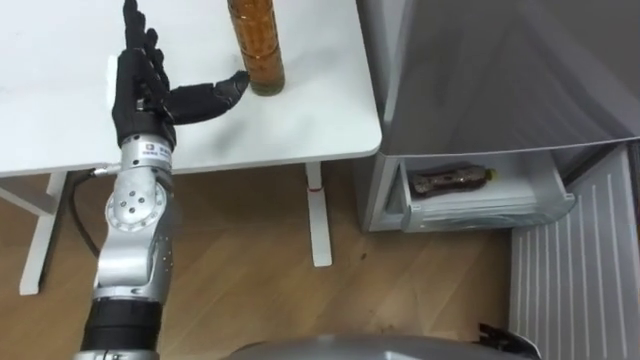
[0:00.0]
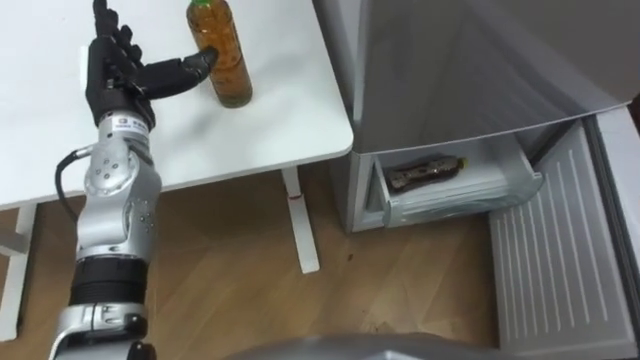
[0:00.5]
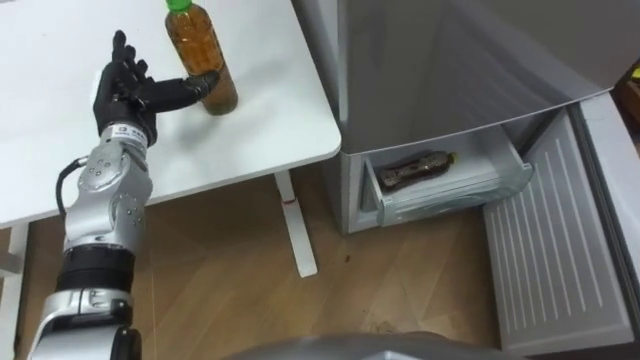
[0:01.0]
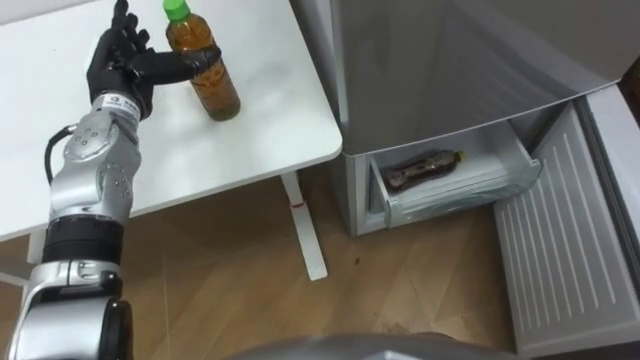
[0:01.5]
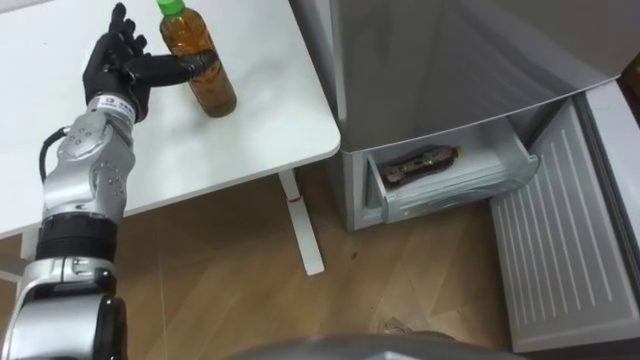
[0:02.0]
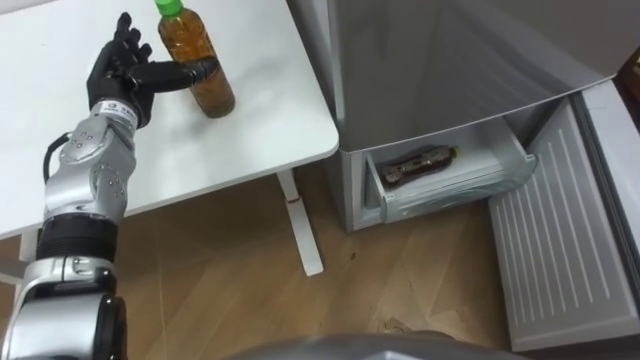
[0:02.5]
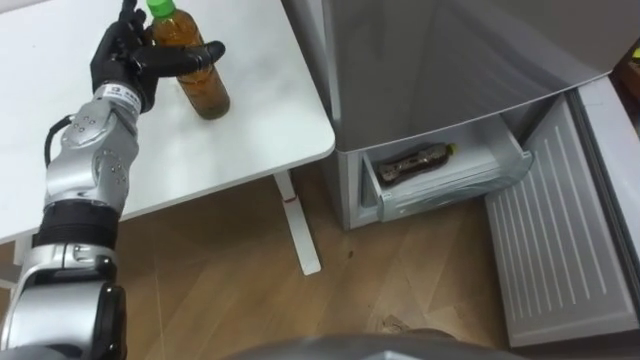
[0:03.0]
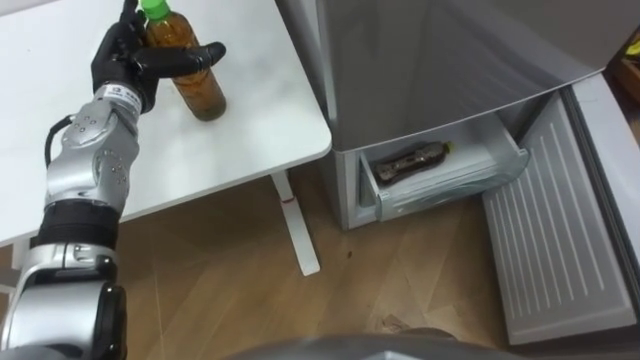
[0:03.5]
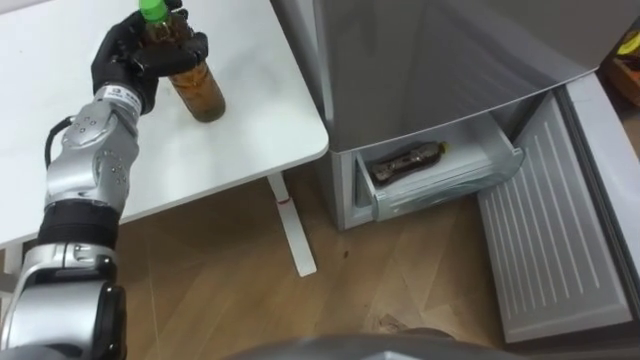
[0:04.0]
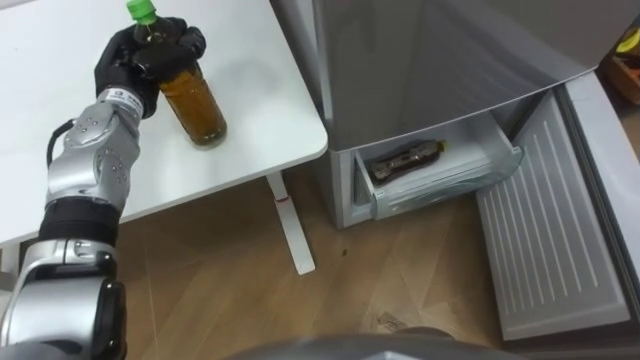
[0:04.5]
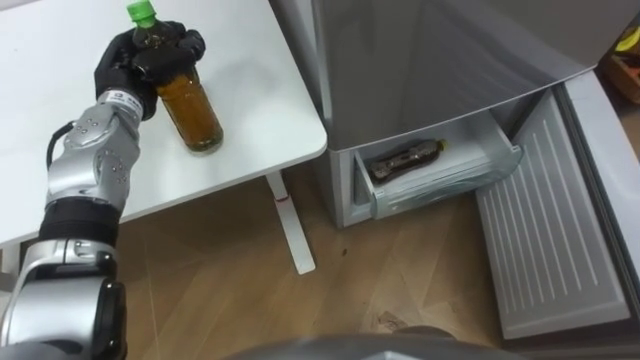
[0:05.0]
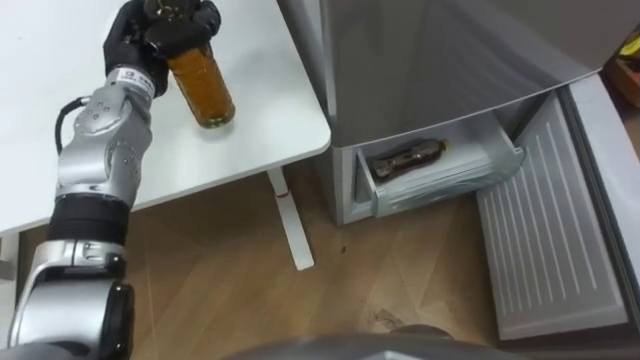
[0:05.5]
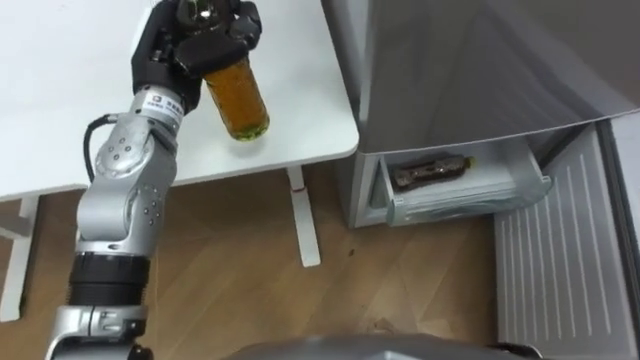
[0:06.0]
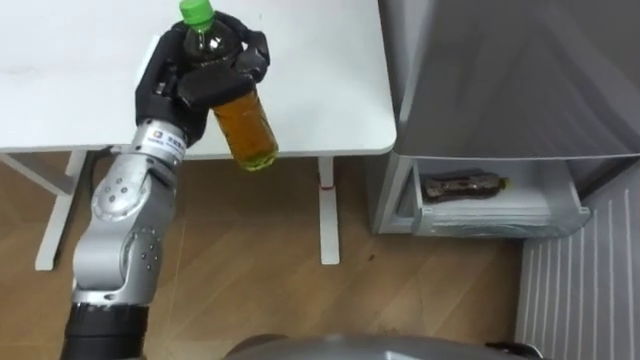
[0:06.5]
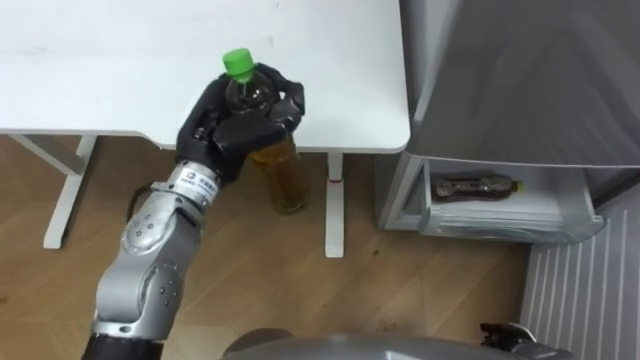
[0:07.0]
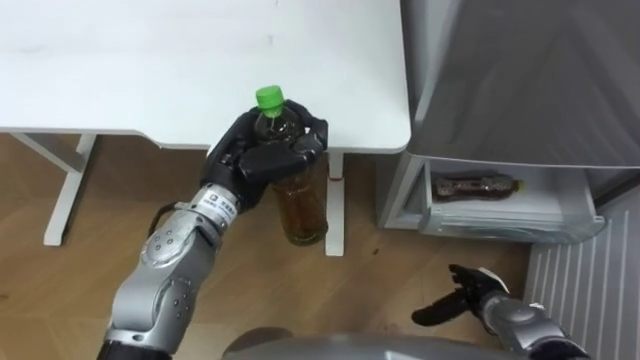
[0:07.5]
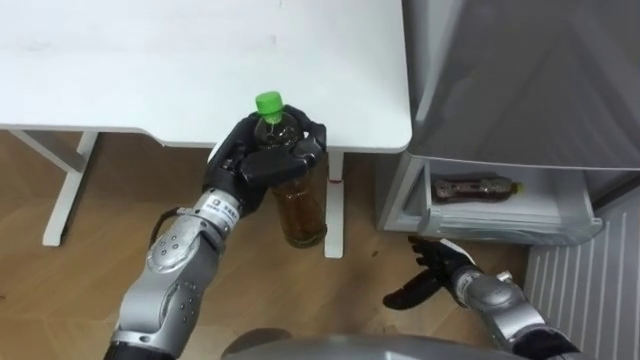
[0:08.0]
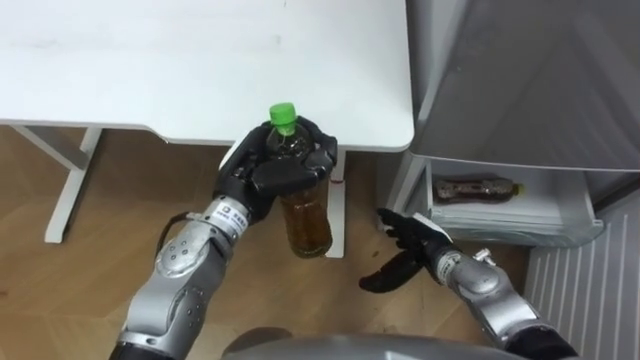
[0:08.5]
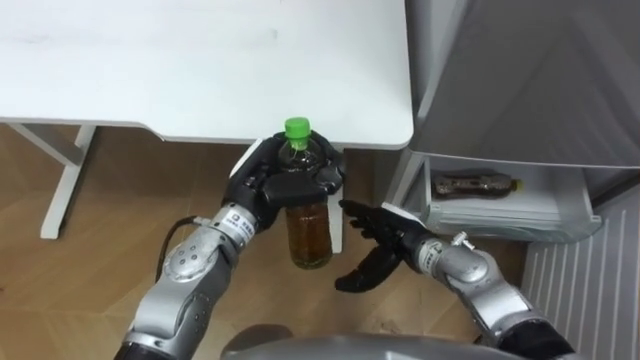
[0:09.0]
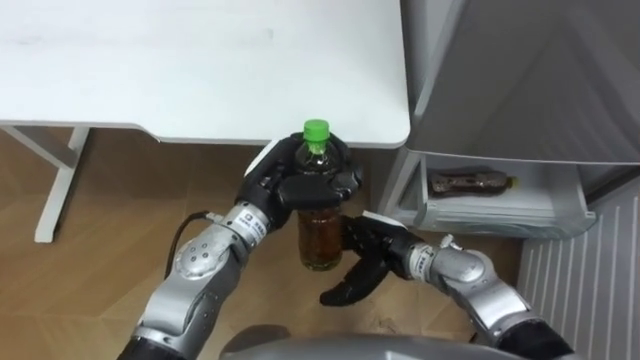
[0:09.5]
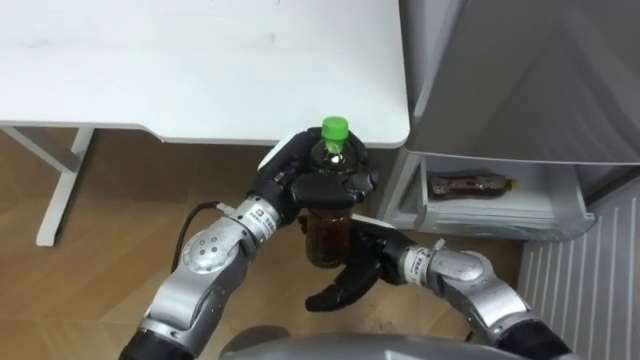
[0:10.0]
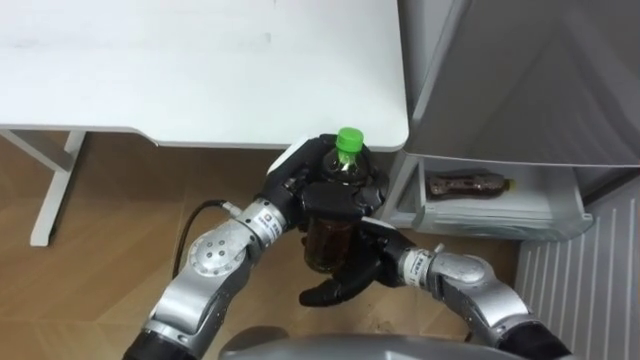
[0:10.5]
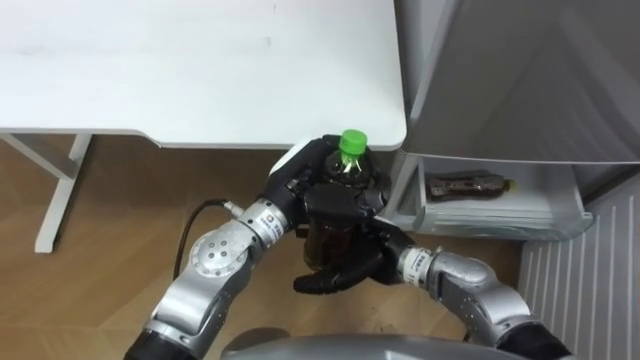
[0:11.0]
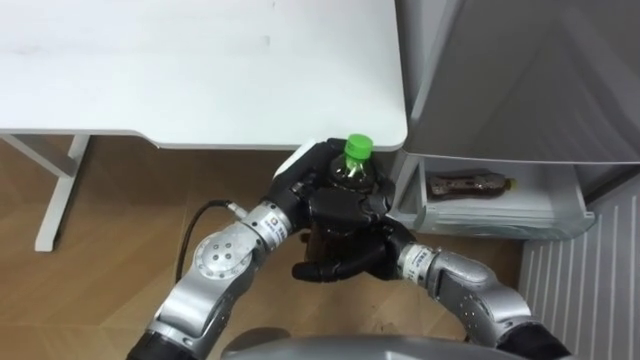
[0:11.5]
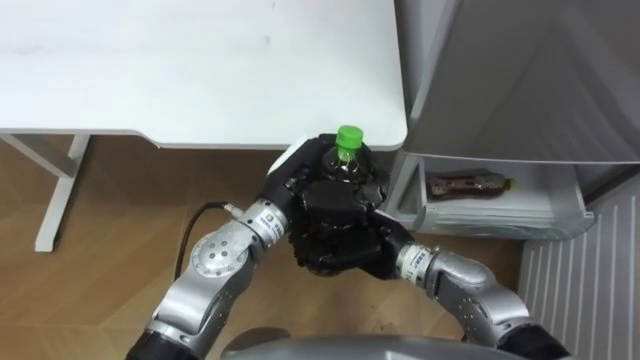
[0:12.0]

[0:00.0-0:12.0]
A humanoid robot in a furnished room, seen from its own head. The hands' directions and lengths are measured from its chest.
Task of the whole recording: Place the drink on the table on the bottom shelf of the refrigerator, then close the drawer and the refrigerator door.
0:00.0 to 0:02.0: The left hand travels forward by approximately 5 cm.
0:02.0 to 0:04.0: The left hand closes its fingers.
0:04.0 to 0:06.0: The left hand is displaced to the right and upward by approximately 10 cm, and closes its fingers.
0:06.0 to 0:08.0: The left hand heads downward, backward and to the right, covering approximately 15 cm.
0:08.0 to 0:10.0: The right hand heads to the left and upward, covering about 15 cm; the left hand is displaced to the right by approximately 5 cm.
0:10.0 to 0:12.0: The right hand closes up.

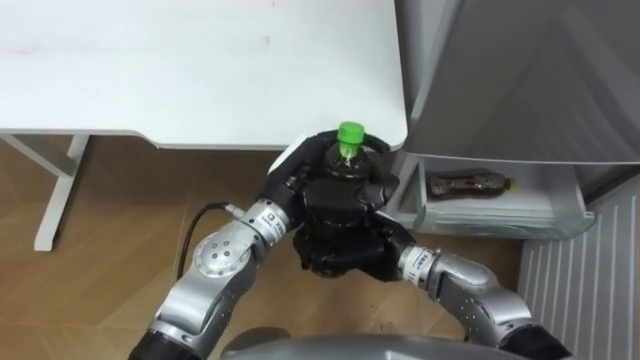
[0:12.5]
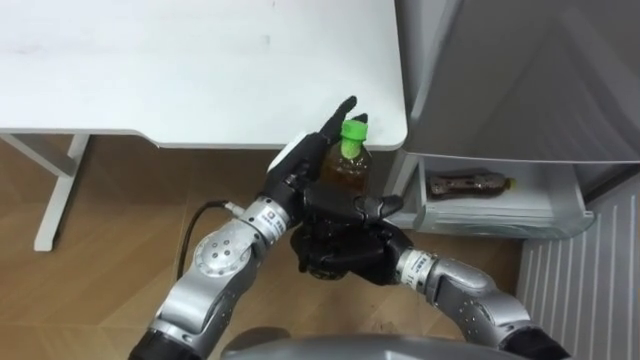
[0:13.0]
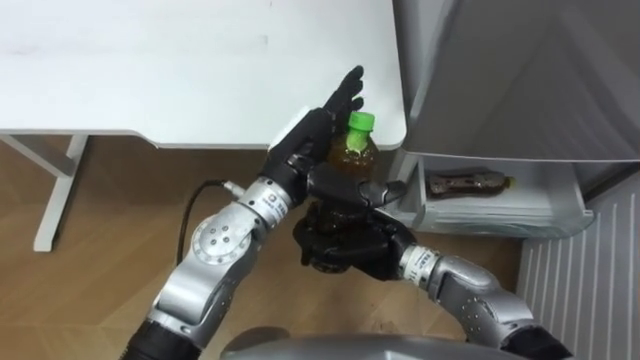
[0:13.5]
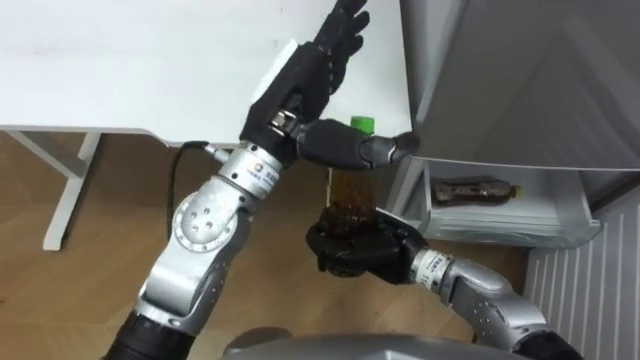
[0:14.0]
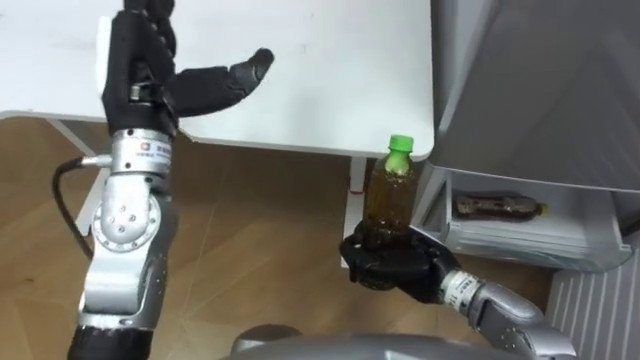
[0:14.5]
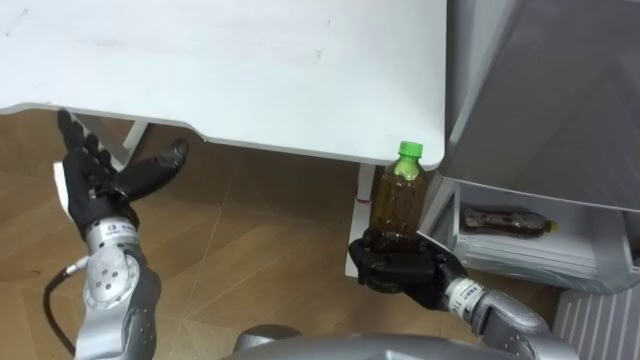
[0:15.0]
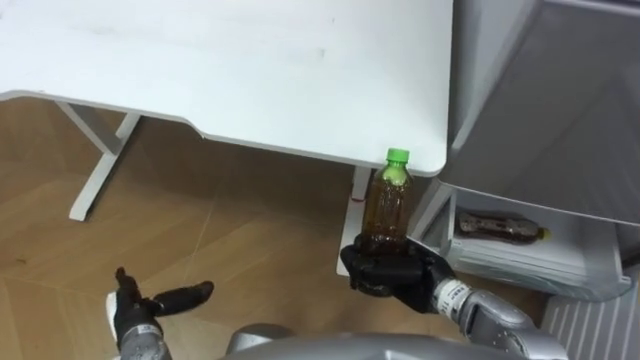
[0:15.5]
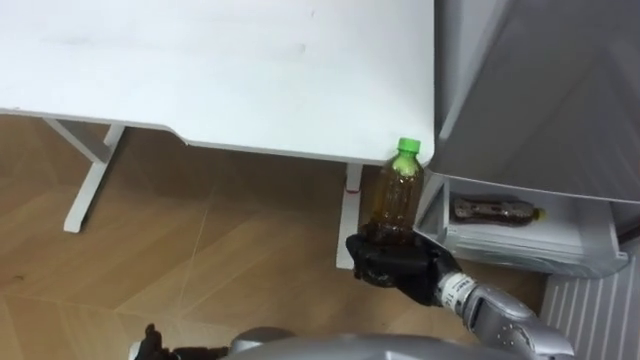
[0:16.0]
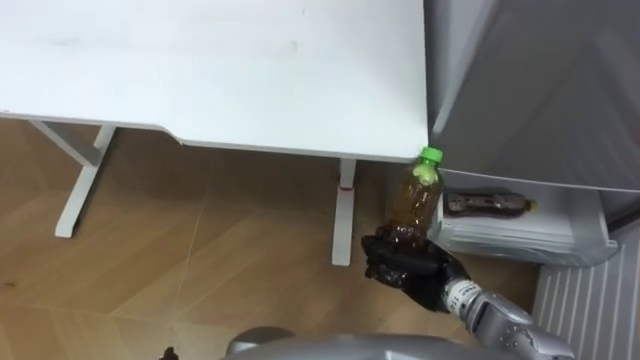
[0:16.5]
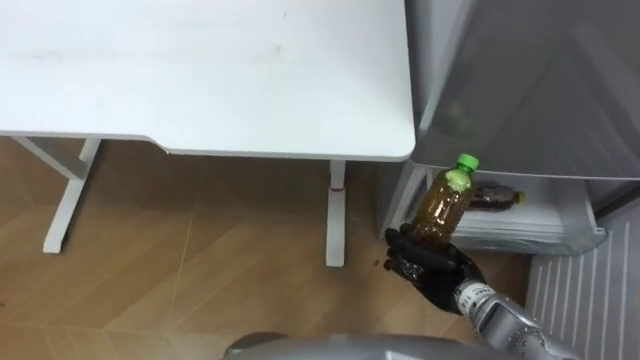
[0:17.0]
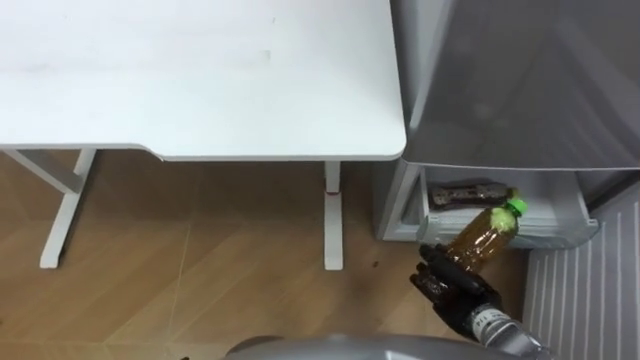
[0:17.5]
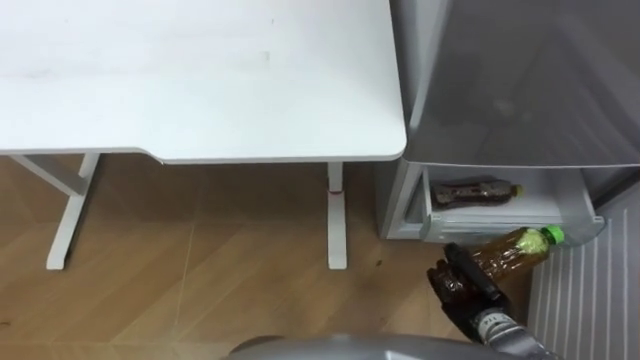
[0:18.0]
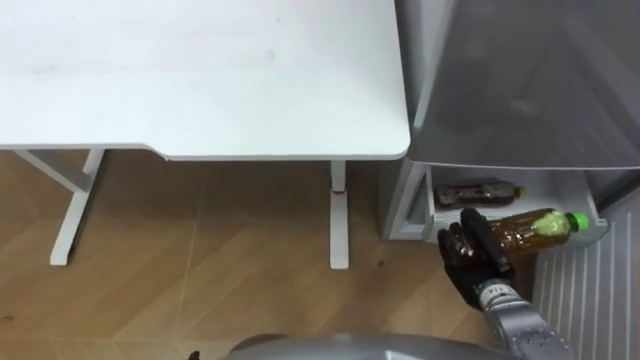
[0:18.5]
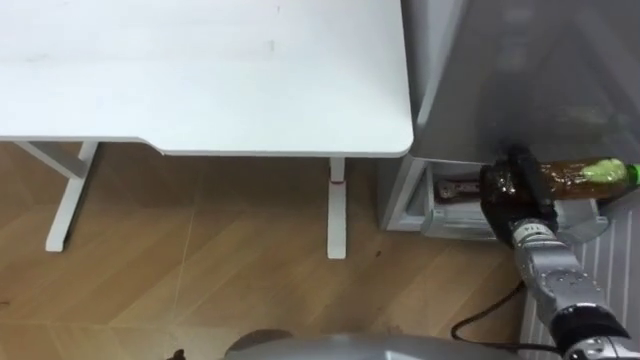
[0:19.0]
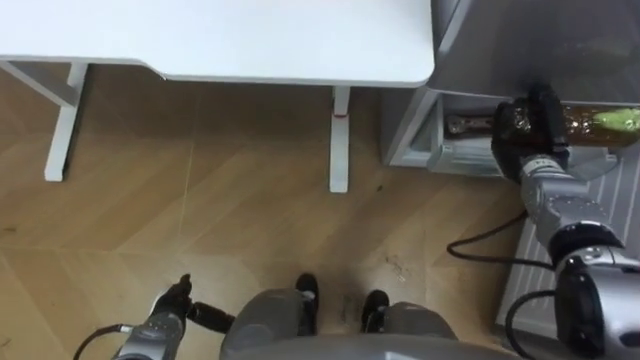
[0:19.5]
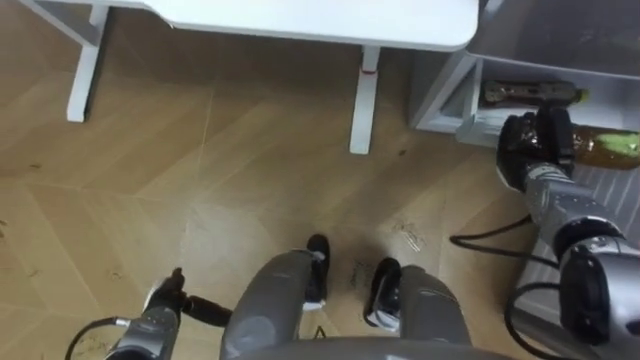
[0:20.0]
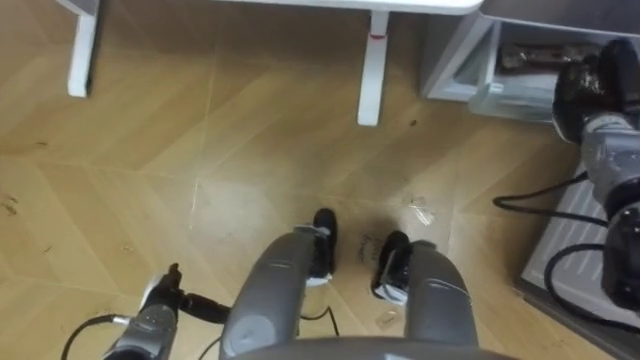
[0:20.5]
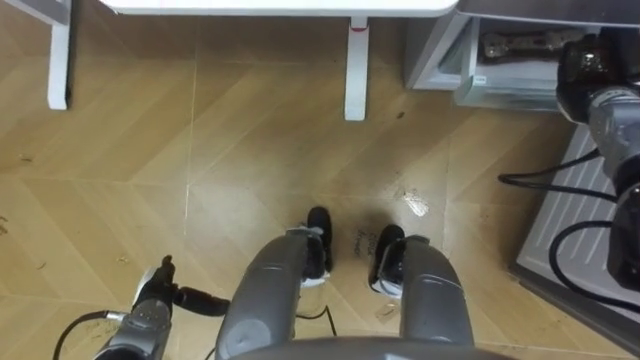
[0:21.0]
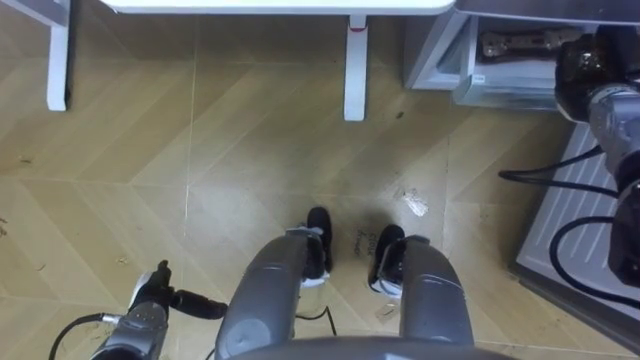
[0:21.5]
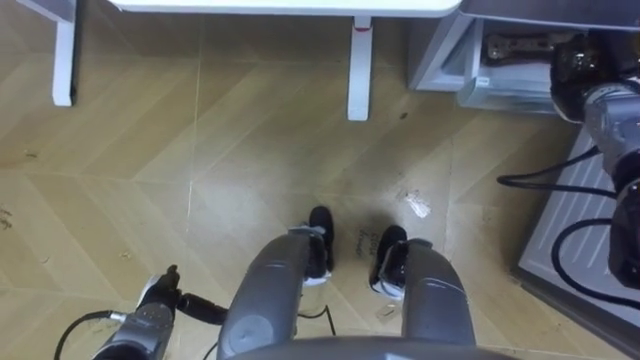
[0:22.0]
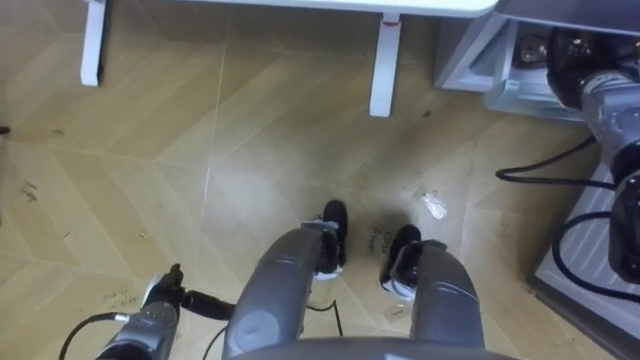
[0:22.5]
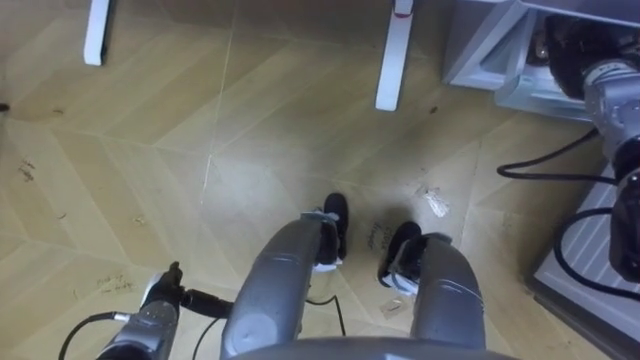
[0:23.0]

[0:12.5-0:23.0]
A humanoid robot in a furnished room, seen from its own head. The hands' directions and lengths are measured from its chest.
Task of the whole recording: Place the drink on the table on the bottom shelf of the refrigerator, then close the drawer and the refrigerator door.
0:12.5 to 0:14.5: The left hand travels to the left and upward by about 20 cm, and opens, while the right hand is displaced to the right by some 5 cm.
0:16.5 to 0:19.0: The right hand shifts some 15 cm to the right and forward.
0:19.0 to 0:21.0: The right hand goes roughly 20 cm forward, upward and to the right.
0:21.0 to 0:23.0: The right hand opens.
